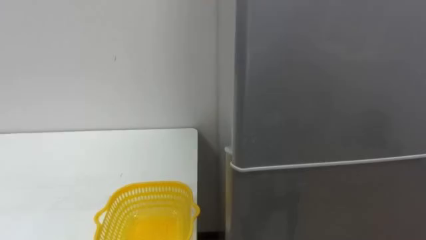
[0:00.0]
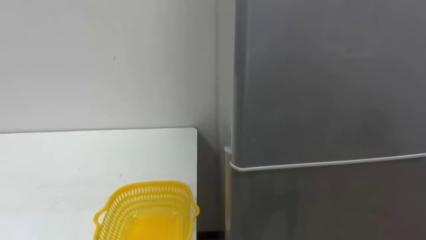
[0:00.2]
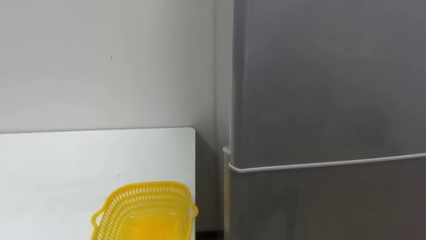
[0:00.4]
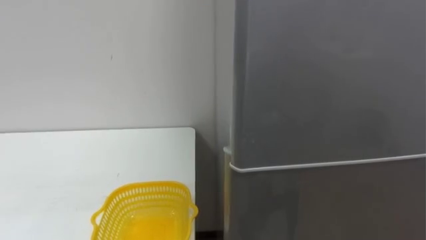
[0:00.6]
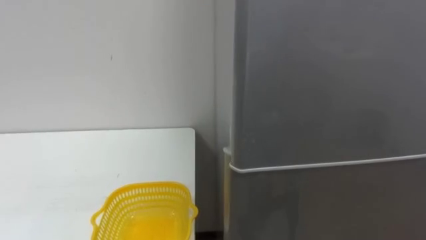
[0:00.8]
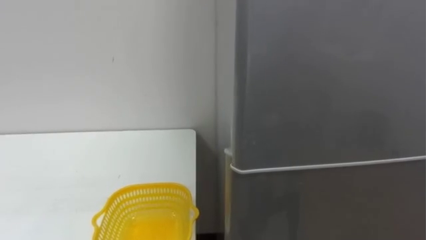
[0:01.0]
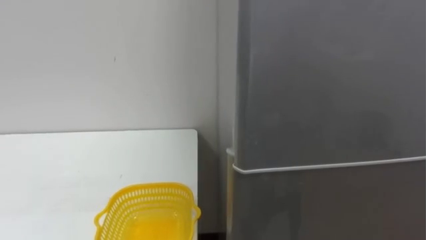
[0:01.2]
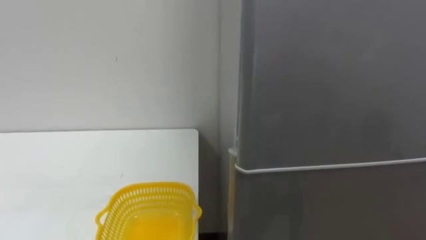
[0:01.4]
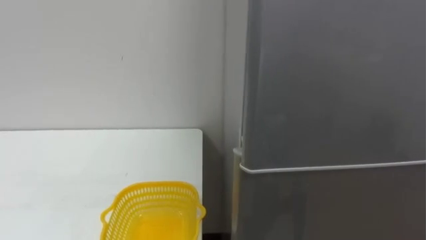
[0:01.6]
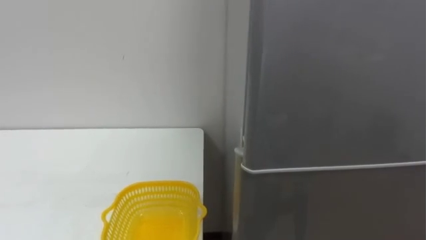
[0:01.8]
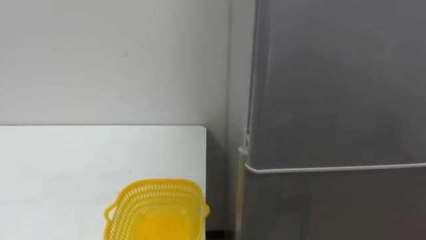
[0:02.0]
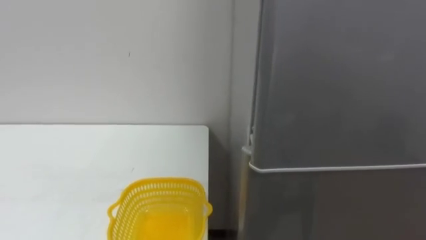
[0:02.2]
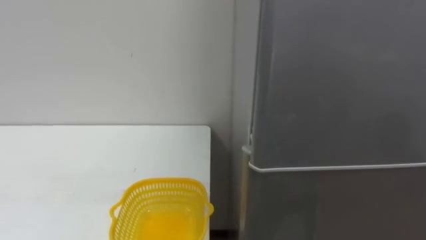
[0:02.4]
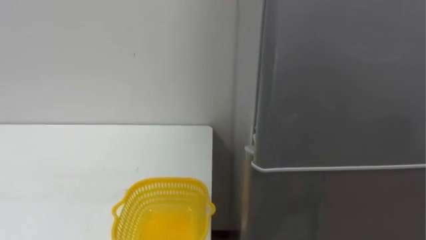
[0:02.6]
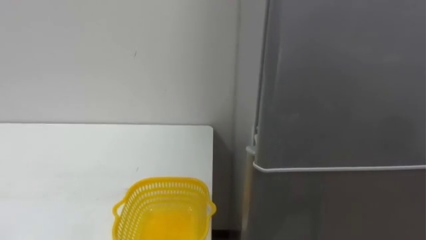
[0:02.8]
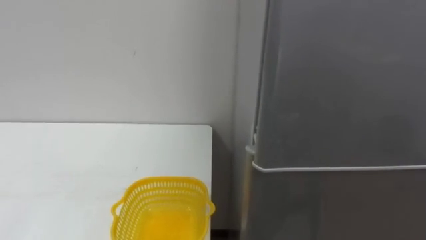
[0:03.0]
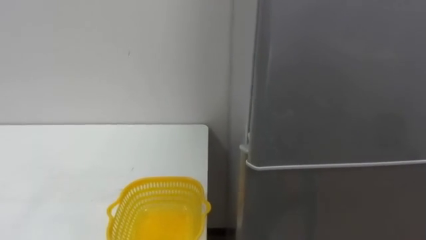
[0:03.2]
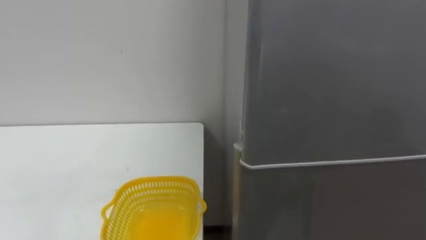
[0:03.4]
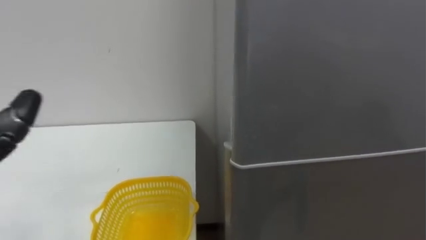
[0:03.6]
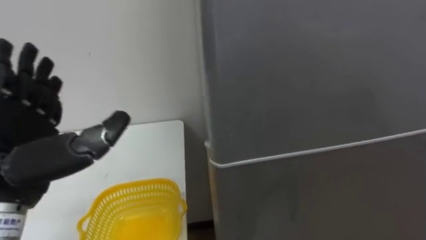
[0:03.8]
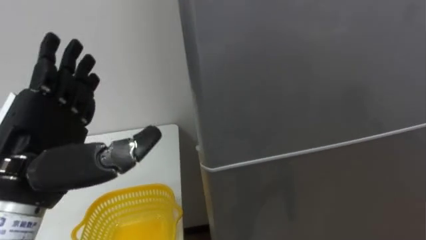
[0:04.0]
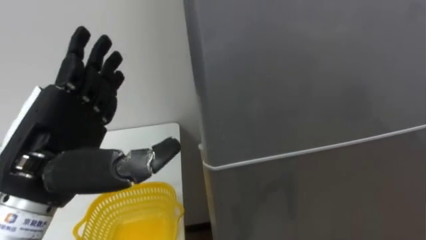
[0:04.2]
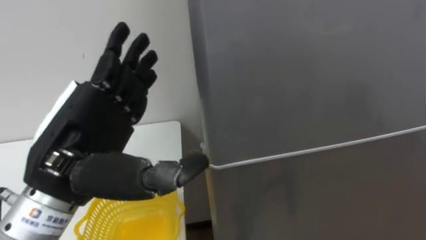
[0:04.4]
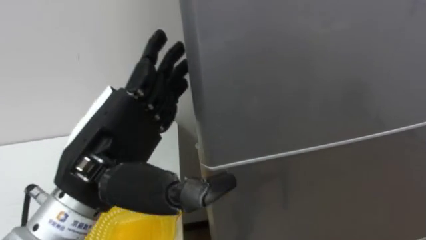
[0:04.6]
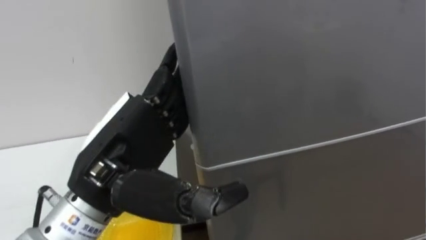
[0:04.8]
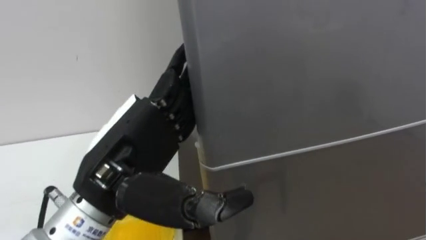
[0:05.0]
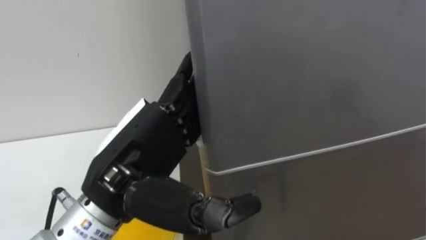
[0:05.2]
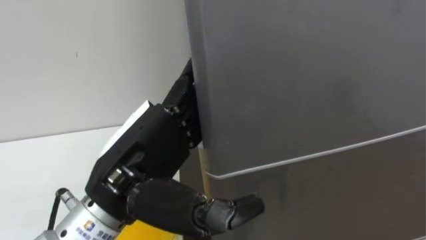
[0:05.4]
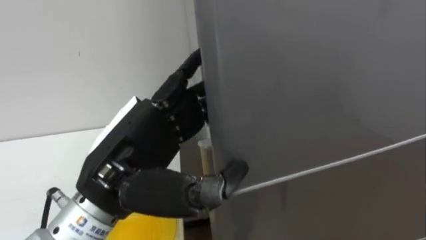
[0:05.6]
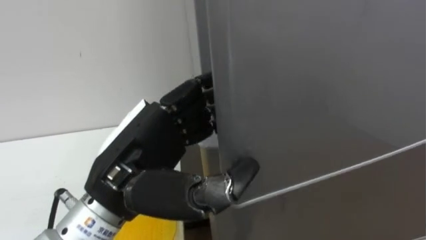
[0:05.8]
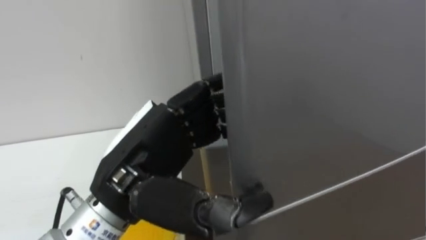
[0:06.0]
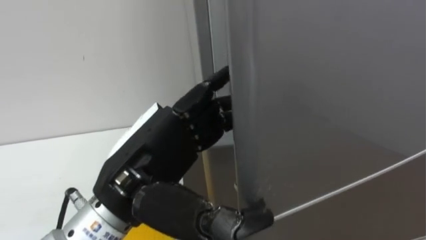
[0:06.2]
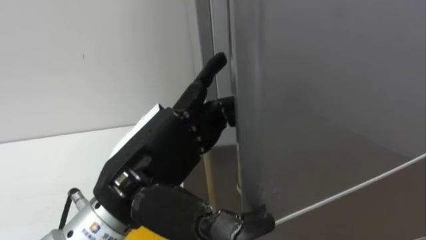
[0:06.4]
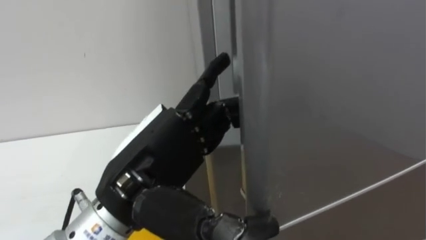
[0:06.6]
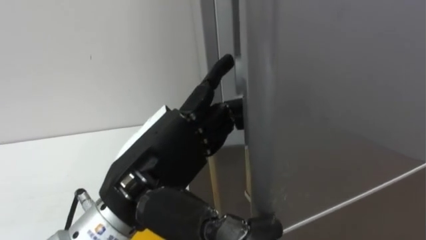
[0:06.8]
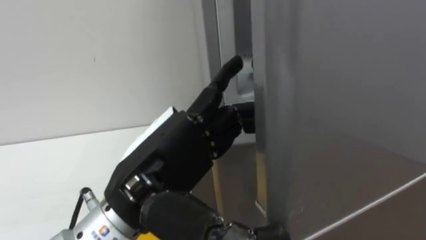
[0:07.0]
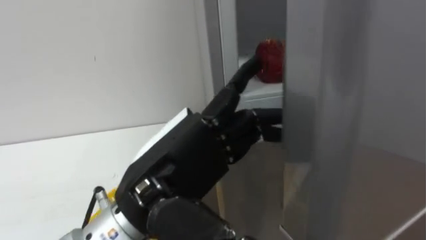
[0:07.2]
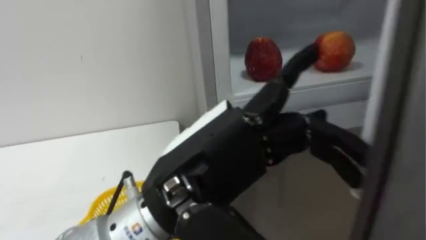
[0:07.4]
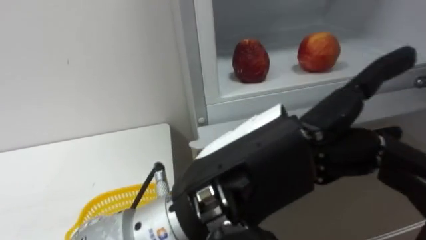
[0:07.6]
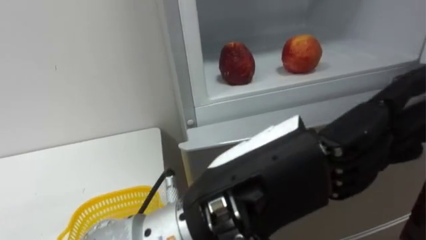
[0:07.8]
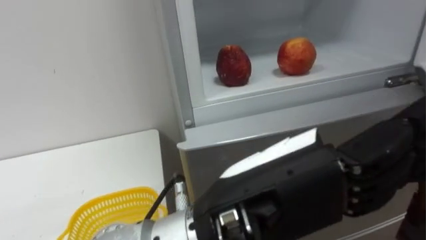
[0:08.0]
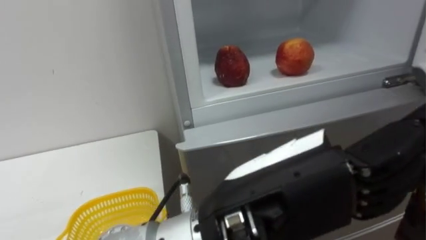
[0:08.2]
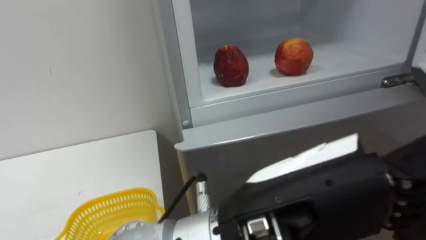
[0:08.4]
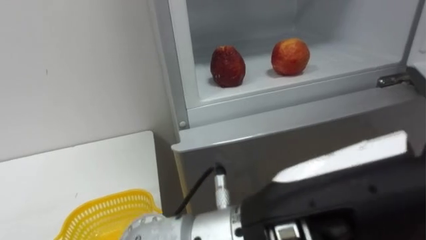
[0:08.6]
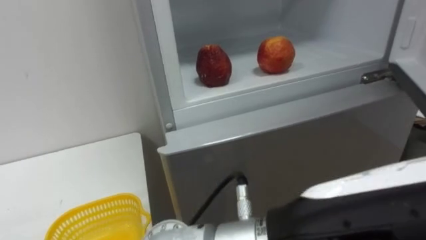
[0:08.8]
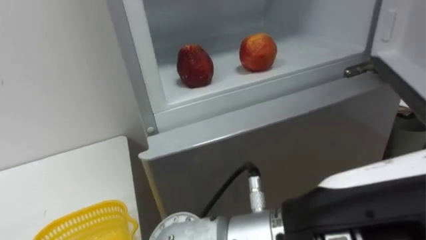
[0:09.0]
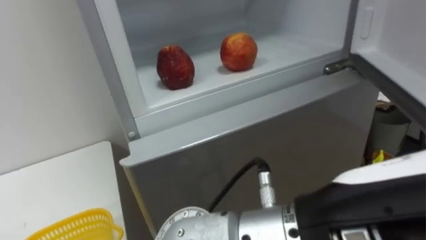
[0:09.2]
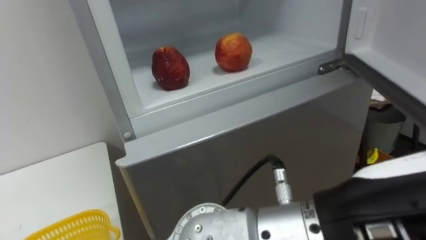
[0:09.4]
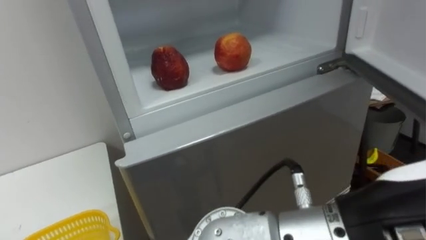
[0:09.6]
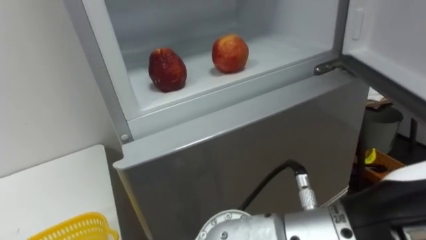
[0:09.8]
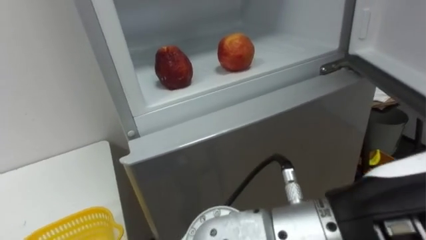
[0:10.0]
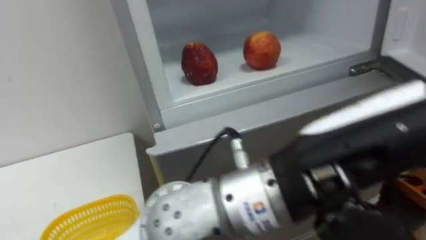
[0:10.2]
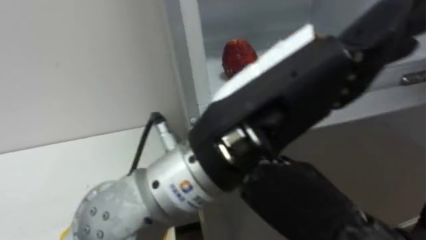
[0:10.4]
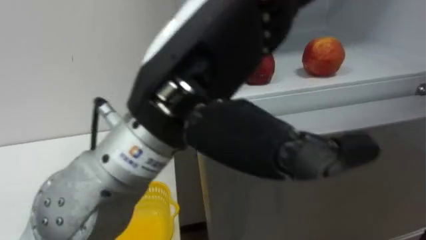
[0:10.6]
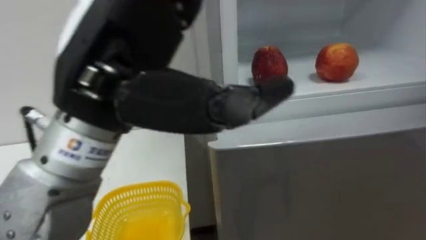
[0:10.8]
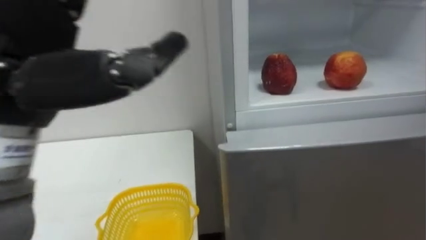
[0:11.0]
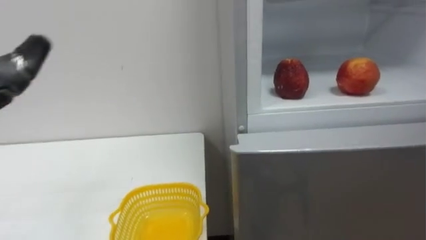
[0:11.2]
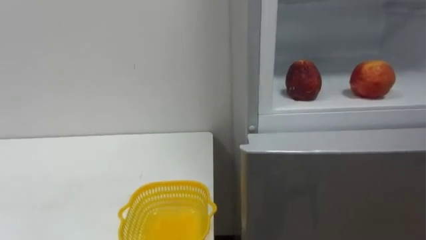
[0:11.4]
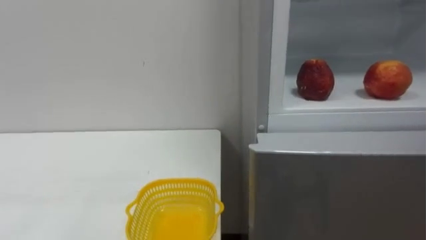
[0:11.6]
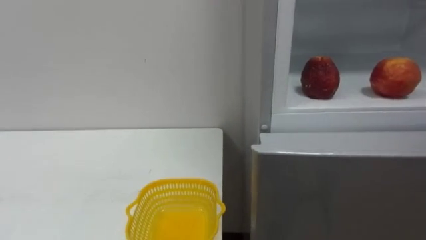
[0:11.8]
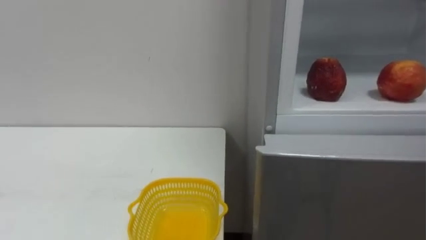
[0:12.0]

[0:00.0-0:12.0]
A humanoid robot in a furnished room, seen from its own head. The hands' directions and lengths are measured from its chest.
Task of the whole recording: Open the refrigerator door, take out the apple and the pomegranate, place them in the fruit basket on the left, and close the refrigerator door.
0:04.4 to 0:06.0: The left hand moves to the right, some 5 cm, and closes up.
0:06.0 to 0:07.6: The left hand travels to the right and backward by approximately 10 cm, and opens up.
0:07.6 to 0:09.0: The left hand moves to the right and backward, about 10 cm.
0:09.0 to 0:10.4: The left hand moves forward and to the left, about 10 cm.

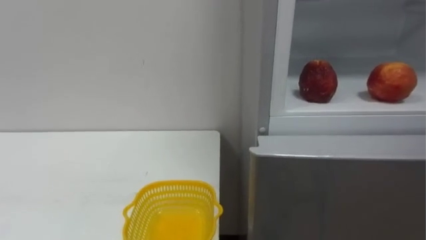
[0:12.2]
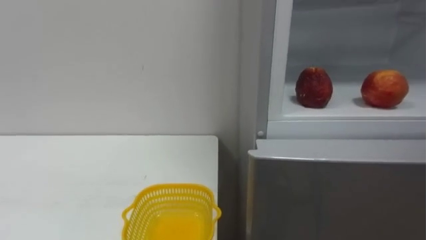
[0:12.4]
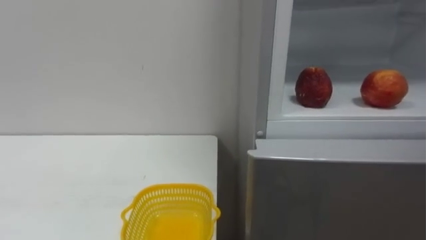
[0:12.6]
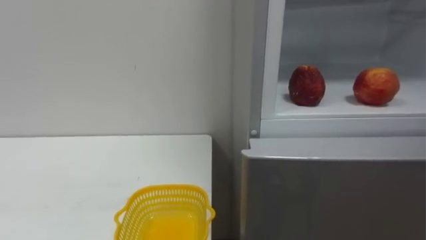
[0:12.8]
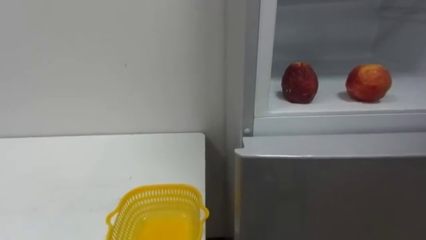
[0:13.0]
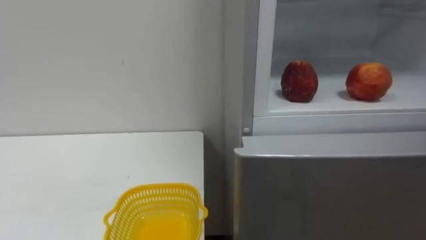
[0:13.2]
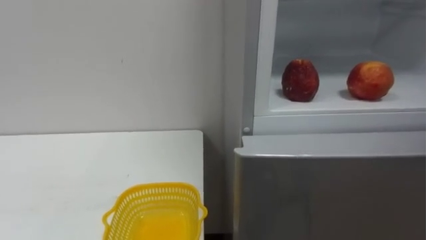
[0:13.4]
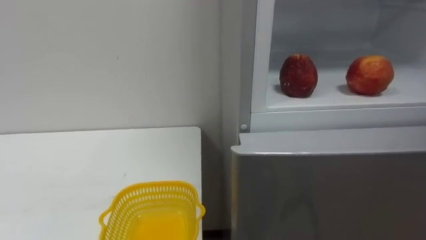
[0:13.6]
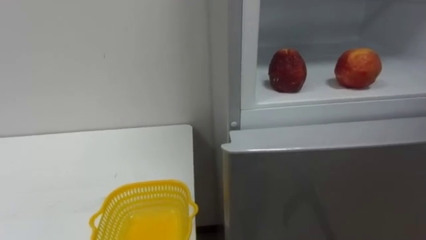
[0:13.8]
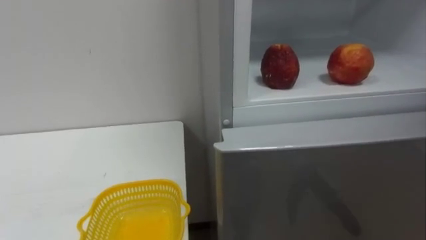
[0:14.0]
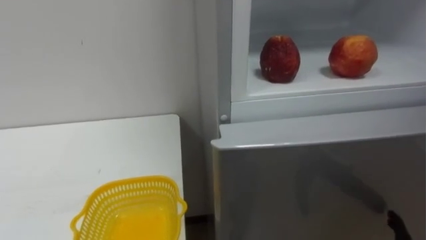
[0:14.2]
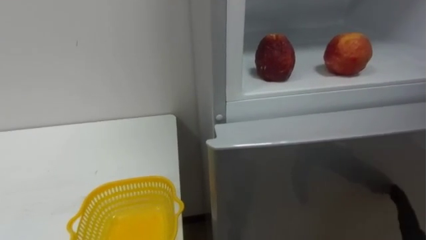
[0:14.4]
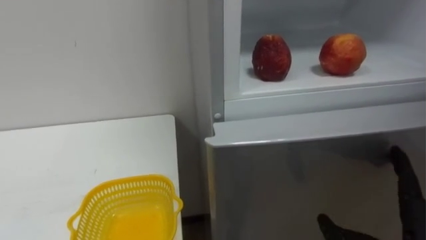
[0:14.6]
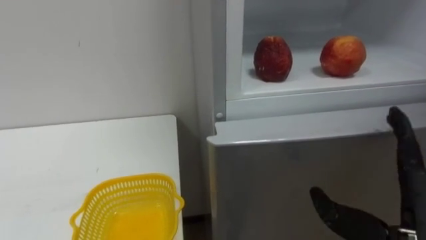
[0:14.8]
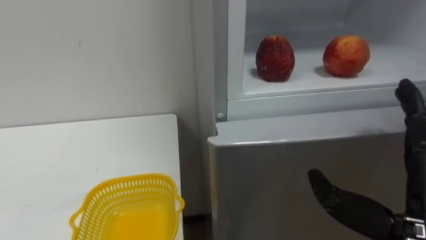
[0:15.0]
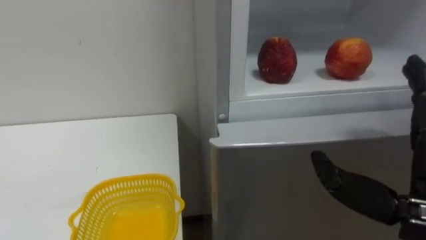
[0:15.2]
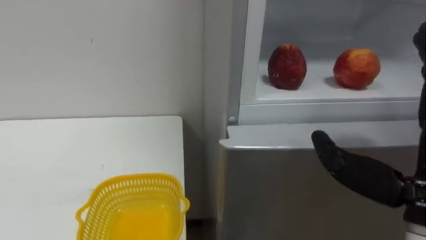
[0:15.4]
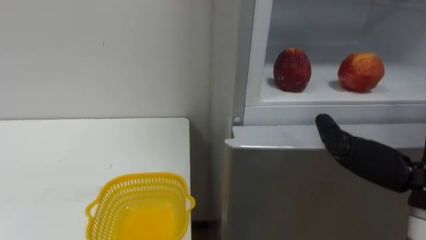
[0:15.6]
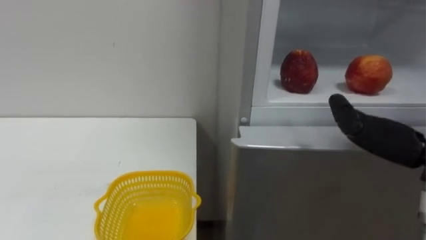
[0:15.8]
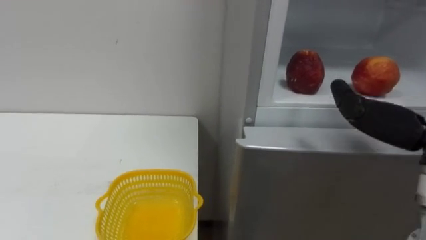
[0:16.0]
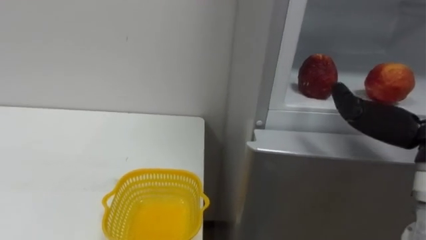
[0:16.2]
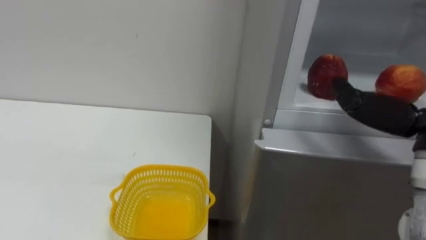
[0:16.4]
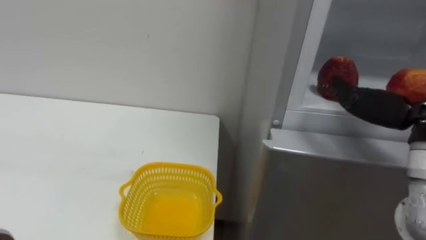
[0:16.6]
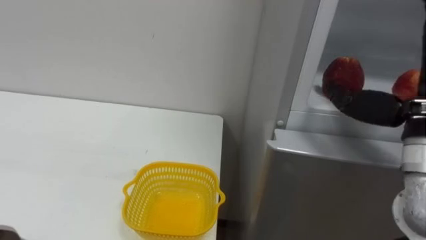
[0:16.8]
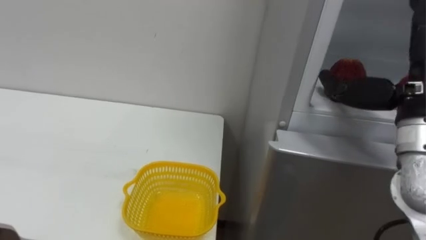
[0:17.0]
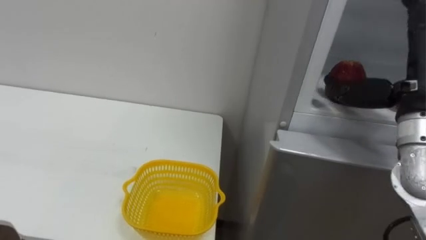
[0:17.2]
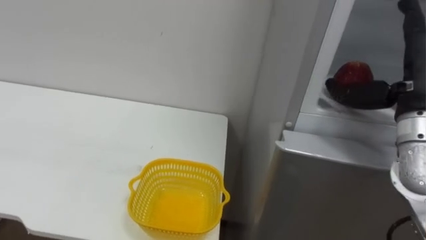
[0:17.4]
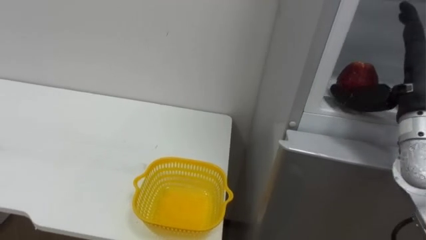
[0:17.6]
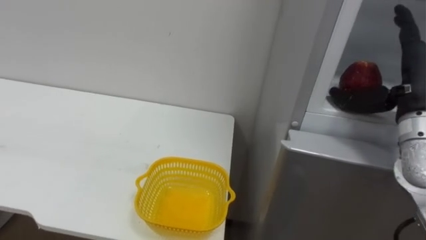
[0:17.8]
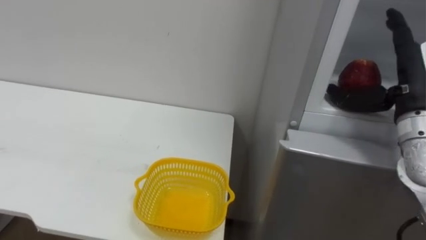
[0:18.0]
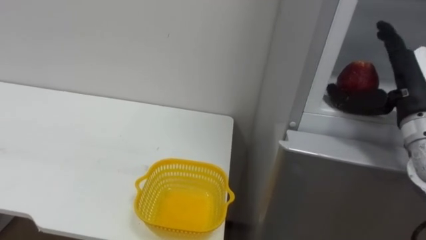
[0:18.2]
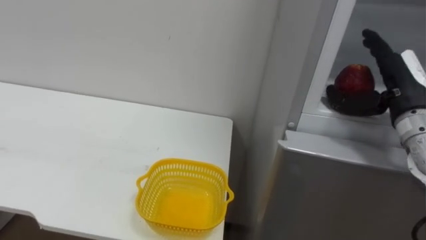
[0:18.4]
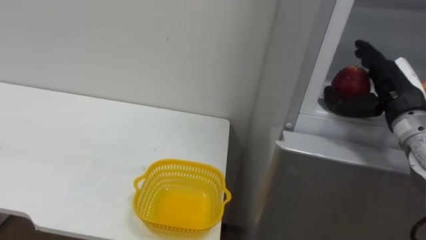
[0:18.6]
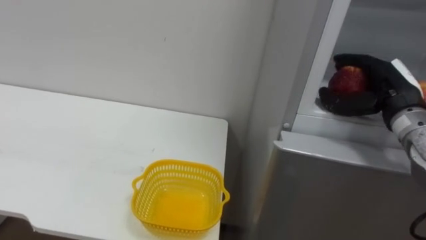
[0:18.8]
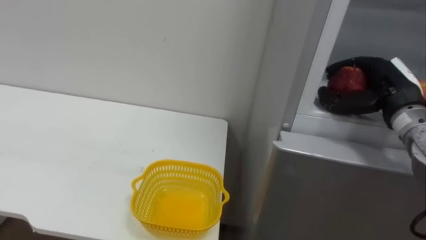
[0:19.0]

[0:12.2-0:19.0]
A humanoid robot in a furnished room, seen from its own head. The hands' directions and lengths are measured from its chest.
Task of the whole recording: Open the refrigerator door, take out the apple and the pomegranate, place them in the fruit basket on the left, and close the refrigerator door.
0:17.6 to 0:19.0: The right hand moves about 5 cm, and closes.
